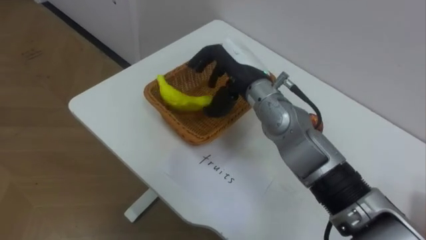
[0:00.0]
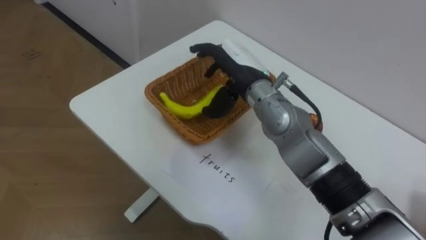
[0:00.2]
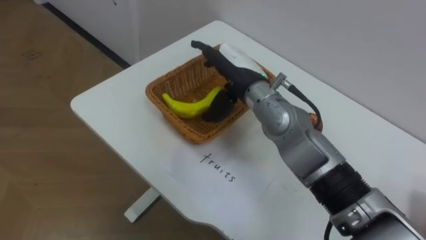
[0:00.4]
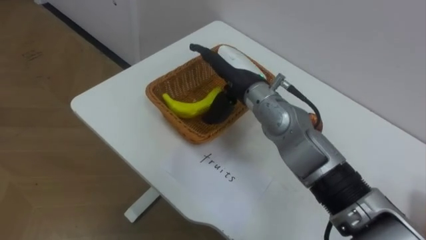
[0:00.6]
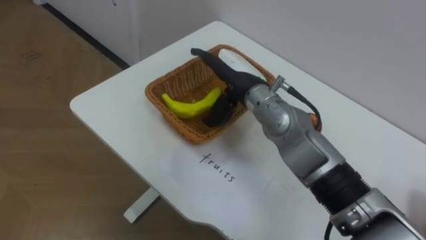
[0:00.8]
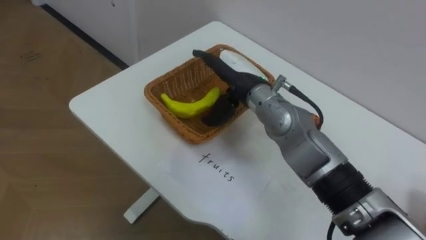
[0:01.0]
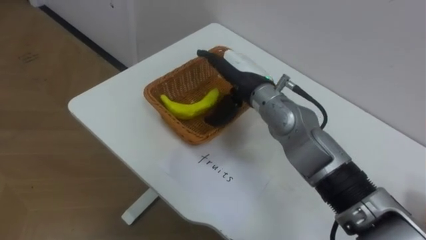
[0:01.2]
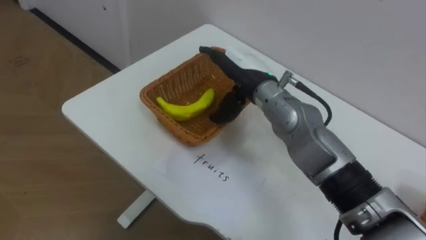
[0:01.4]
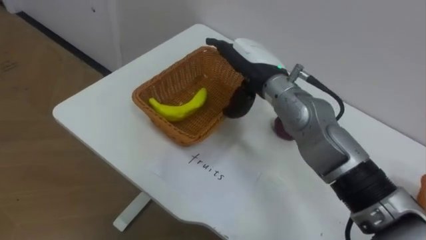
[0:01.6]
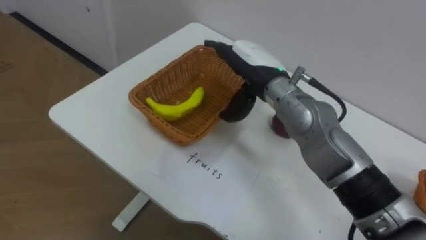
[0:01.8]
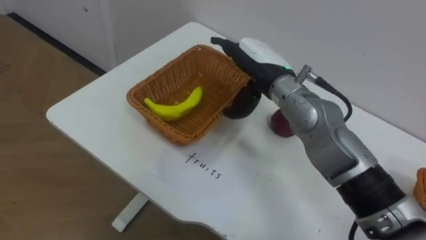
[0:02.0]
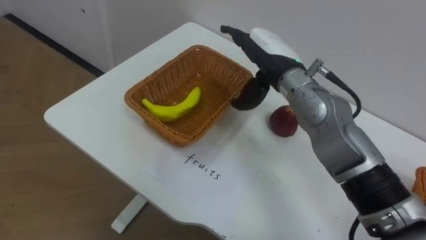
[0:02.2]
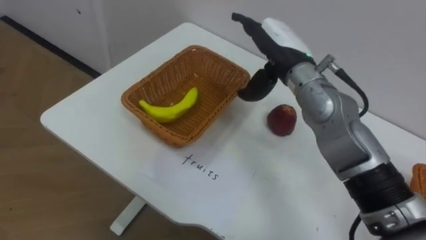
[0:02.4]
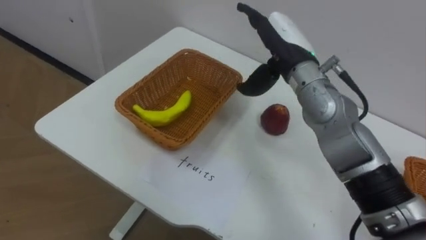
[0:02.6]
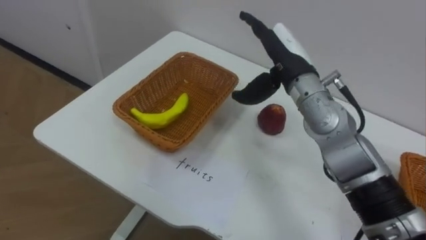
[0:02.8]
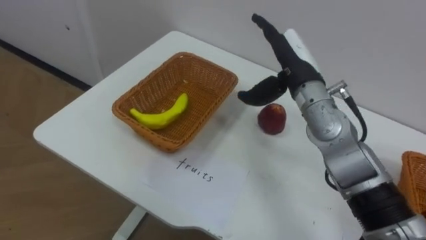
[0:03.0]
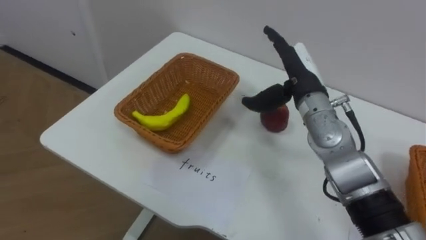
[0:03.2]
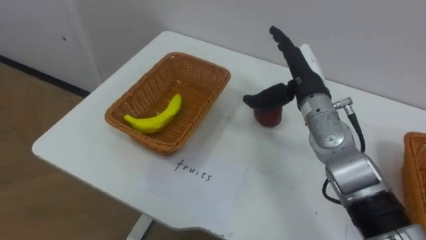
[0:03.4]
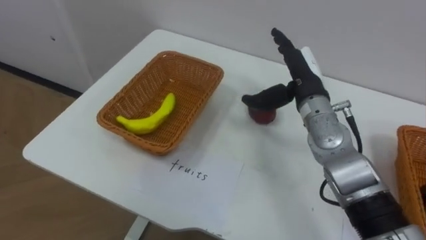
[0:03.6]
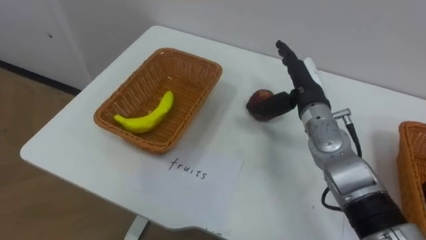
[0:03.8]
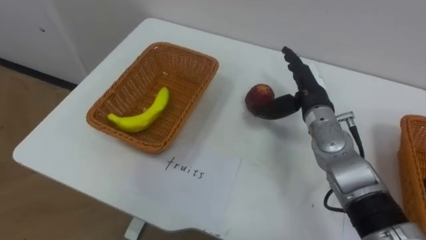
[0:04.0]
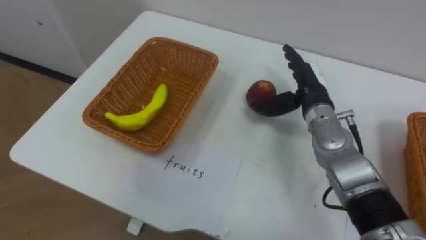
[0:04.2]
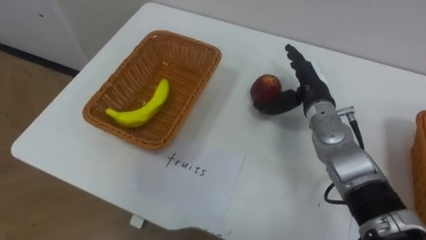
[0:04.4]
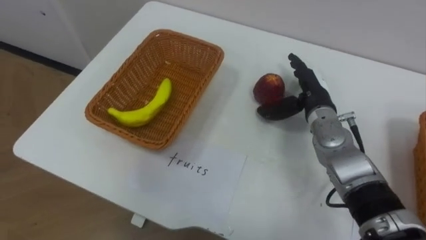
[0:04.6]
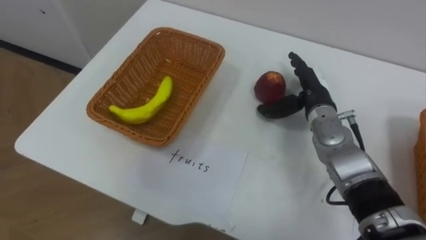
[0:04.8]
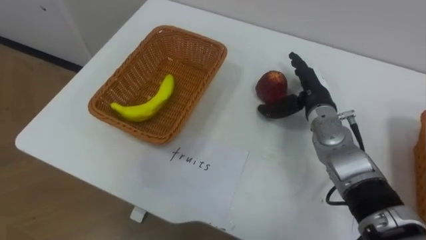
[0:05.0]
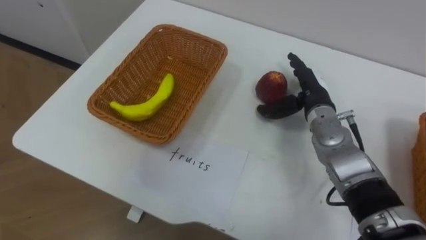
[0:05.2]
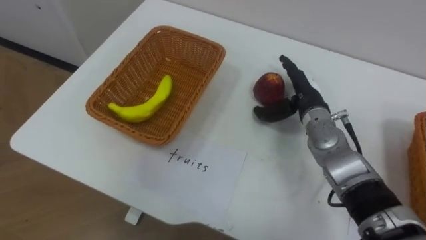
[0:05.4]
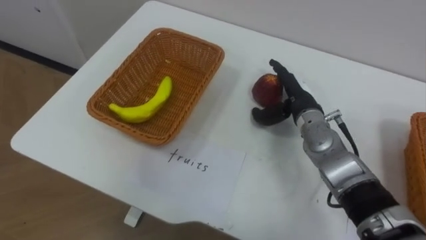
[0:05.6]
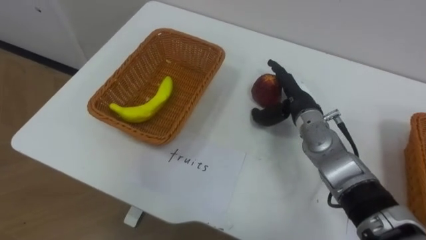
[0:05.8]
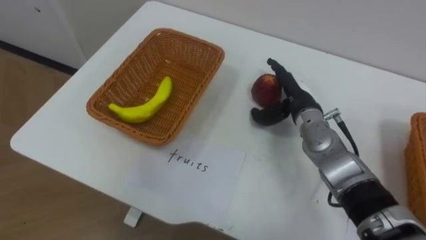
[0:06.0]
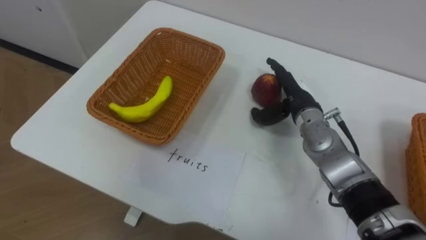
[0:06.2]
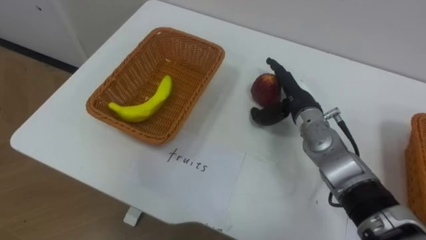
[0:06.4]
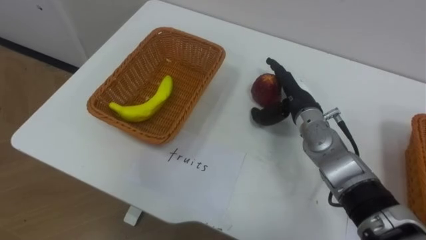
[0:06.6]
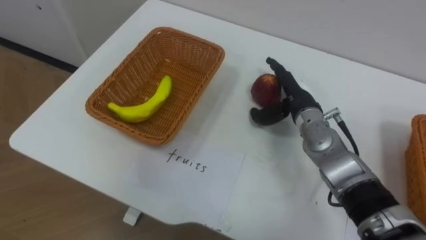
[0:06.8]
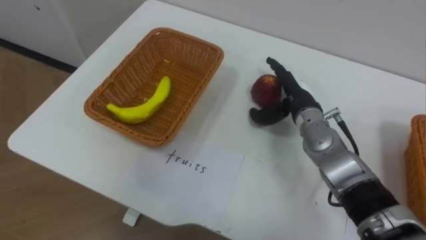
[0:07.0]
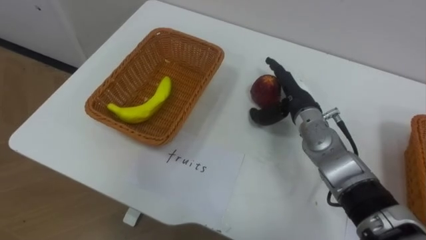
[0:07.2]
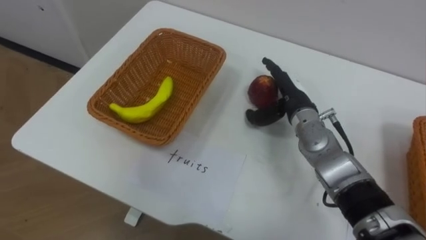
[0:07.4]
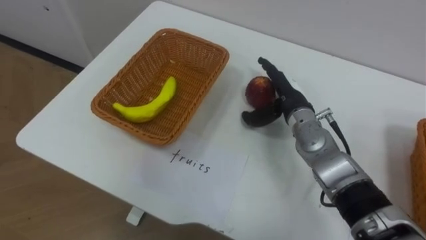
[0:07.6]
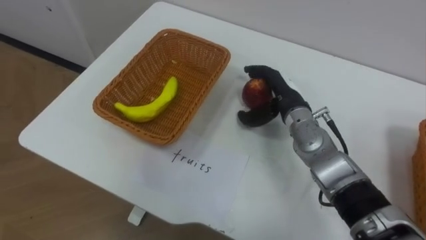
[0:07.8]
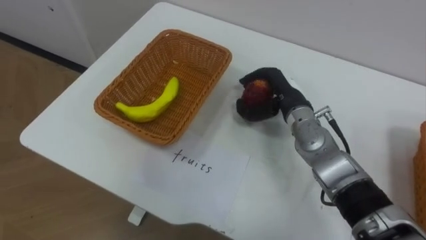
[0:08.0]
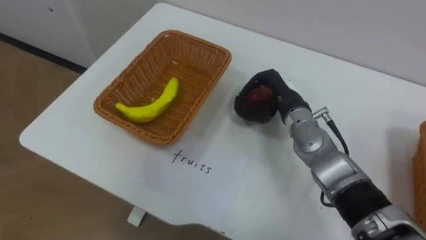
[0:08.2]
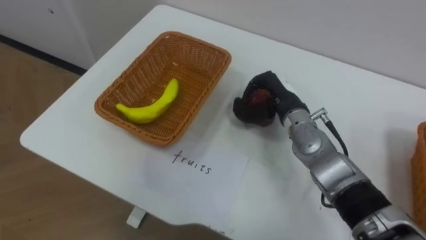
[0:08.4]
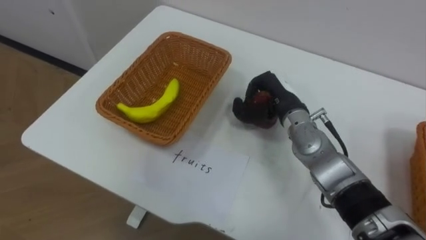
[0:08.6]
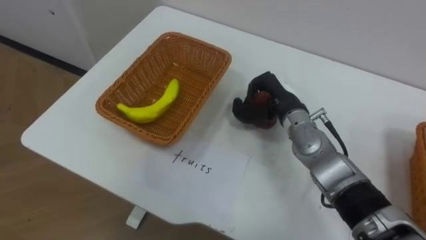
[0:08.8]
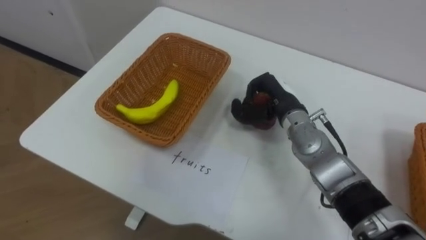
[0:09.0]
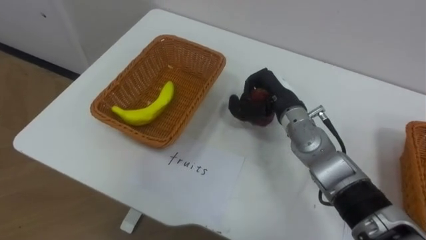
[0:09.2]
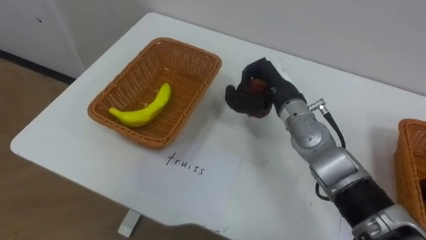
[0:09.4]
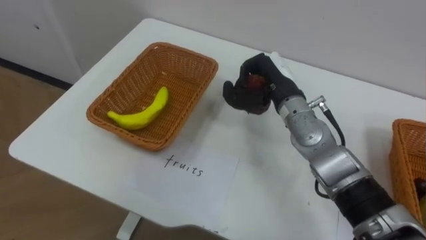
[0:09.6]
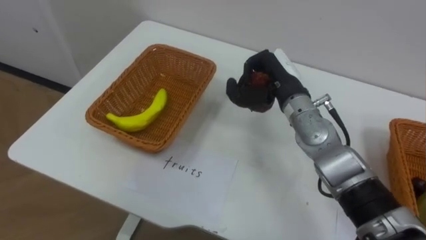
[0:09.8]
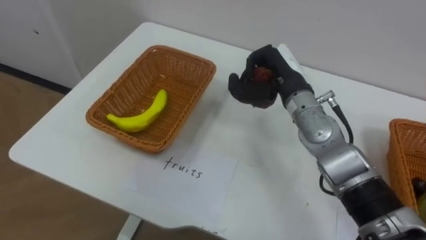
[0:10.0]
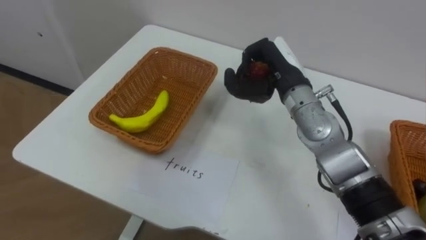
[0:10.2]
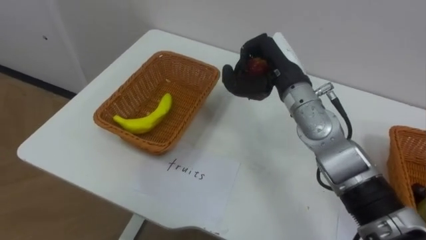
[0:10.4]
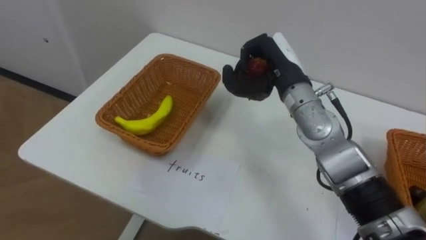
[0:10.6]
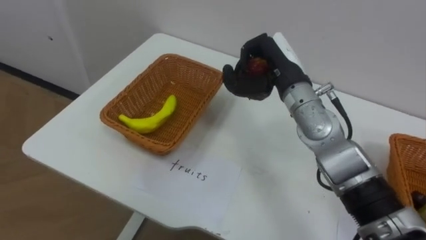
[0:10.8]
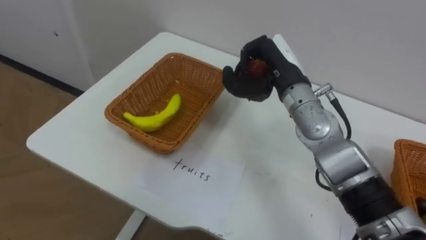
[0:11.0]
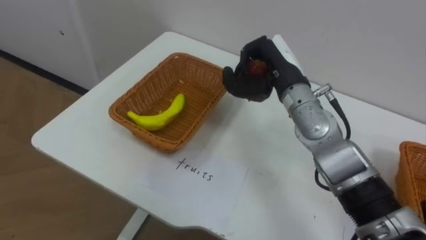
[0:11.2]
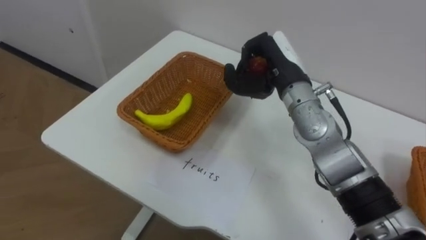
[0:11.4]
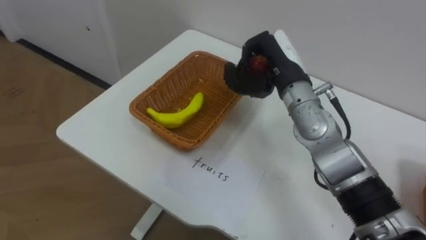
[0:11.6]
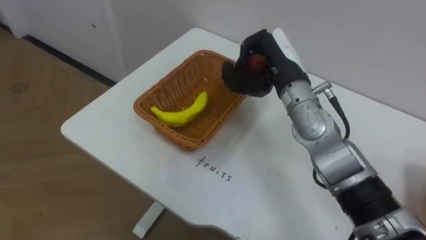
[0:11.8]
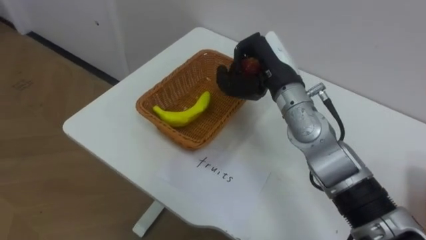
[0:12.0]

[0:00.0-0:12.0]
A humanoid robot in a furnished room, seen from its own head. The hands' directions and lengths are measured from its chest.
Task of the whole recording: Separate the items on the table and place them into the two baskets.
0:00.0 to 0:01.6: The right hand opens its fingers.
0:01.6 to 0:03.0: The right hand goes approximately 5 cm to the right.
0:03.0 to 0:04.4: The right hand travels downward by approximately 5 cm.
0:07.6 to 0:09.0: The right hand closes.
0:09.0 to 0:10.4: The right hand heads upward, covering roughly 10 cm.

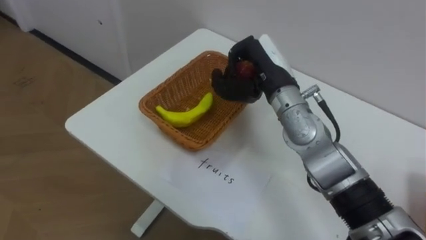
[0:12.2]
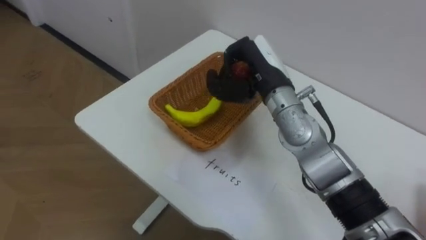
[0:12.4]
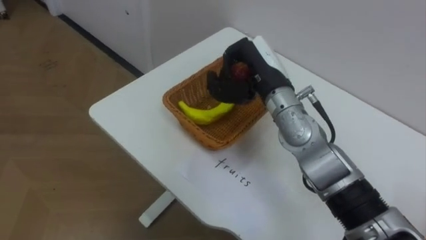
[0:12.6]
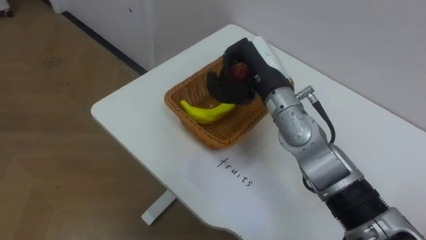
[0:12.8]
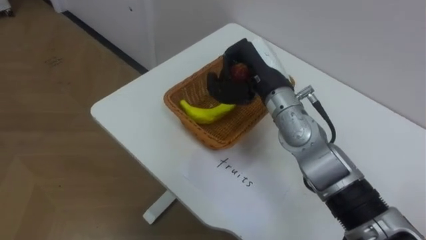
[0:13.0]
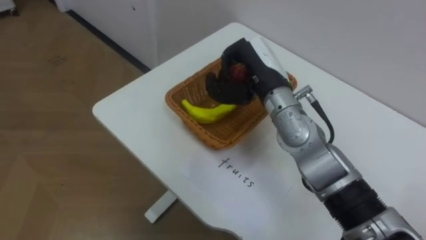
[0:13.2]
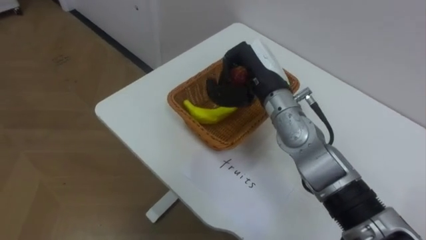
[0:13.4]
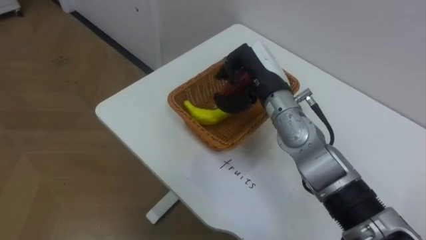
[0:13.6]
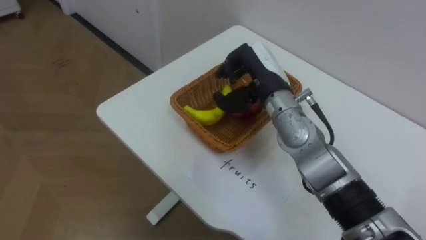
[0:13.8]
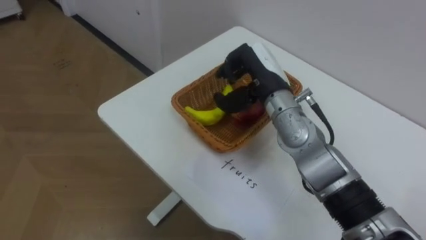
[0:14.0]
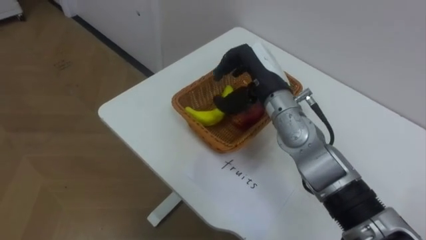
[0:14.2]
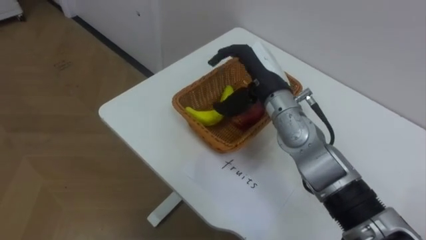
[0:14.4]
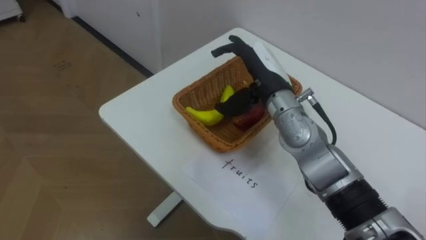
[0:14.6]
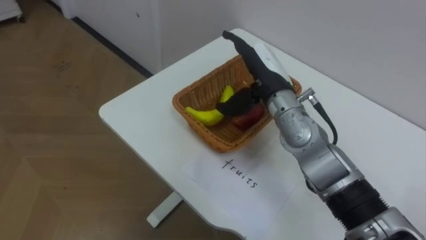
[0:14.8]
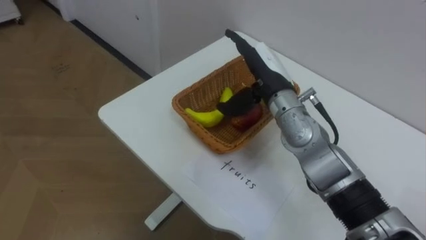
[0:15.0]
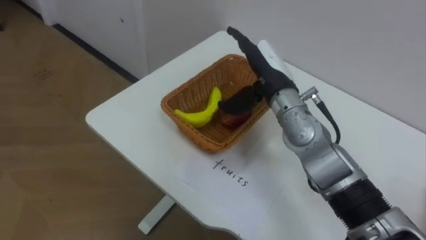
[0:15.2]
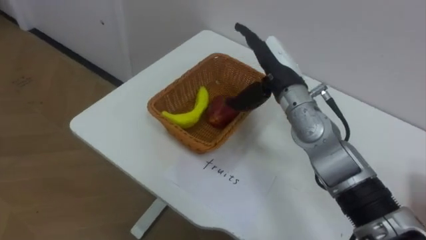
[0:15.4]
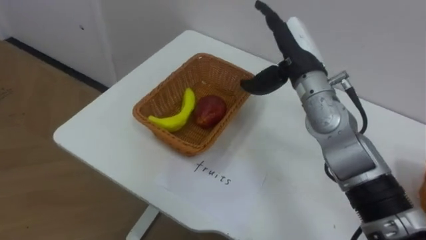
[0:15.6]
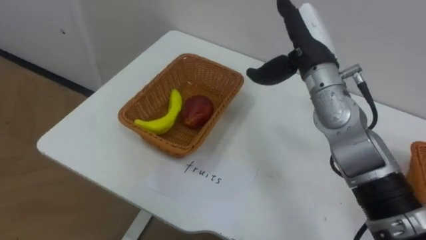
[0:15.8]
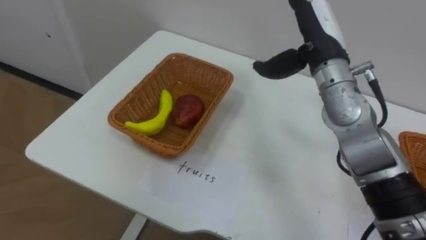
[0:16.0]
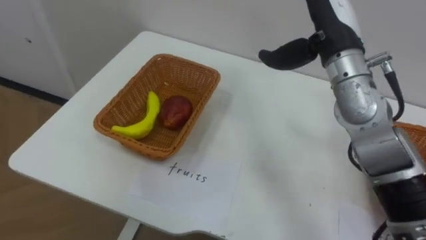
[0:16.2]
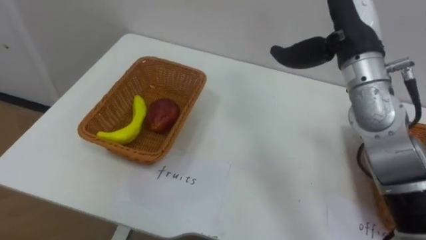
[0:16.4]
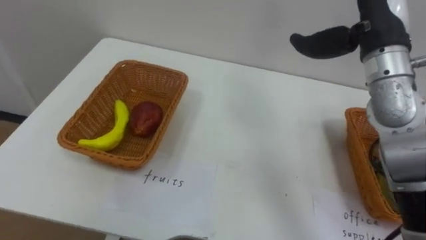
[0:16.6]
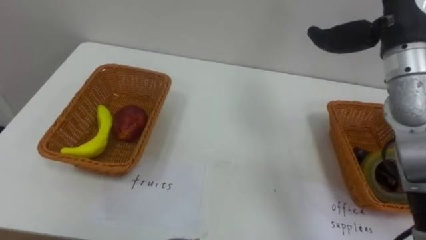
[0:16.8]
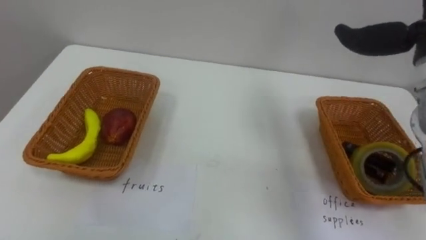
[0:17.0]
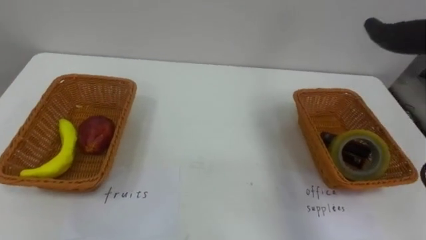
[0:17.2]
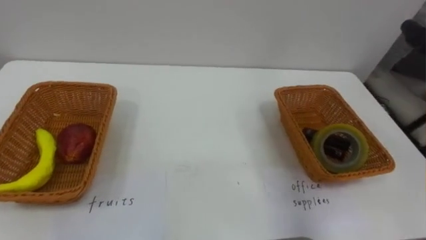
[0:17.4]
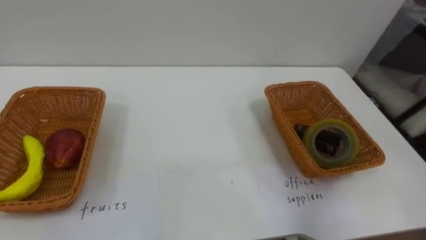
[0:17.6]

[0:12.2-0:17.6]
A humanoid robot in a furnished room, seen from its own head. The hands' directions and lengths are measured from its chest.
Task of the whole recording: Separate the items on the table and place them into the two baskets.
0:13.6 to 0:15.0: The right hand opens.
0:15.0 to 0:16.2: The right hand moves upward and to the right, about 10 cm.
